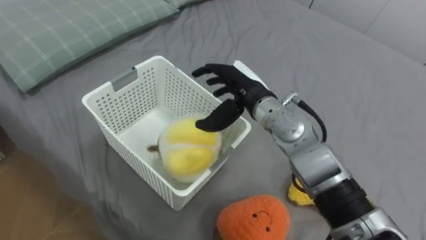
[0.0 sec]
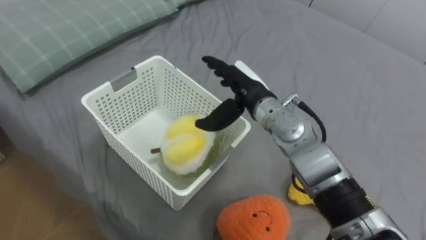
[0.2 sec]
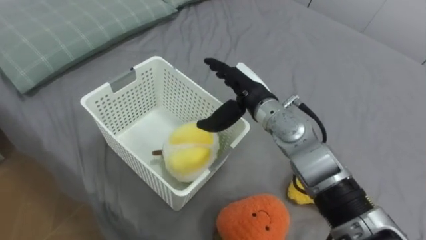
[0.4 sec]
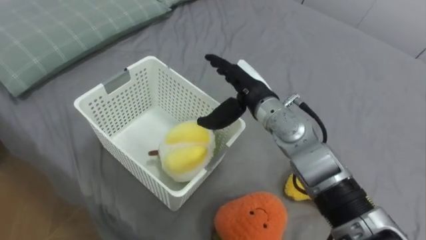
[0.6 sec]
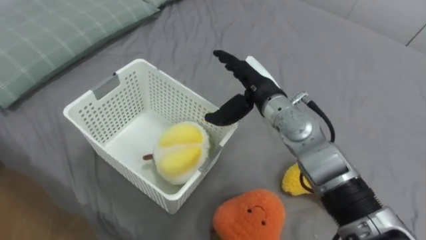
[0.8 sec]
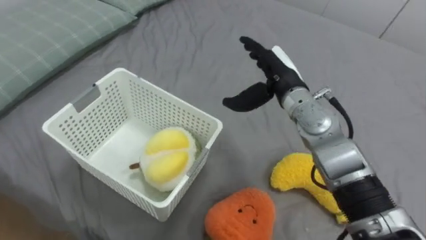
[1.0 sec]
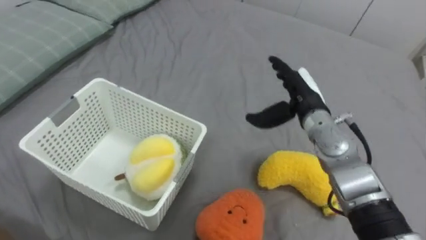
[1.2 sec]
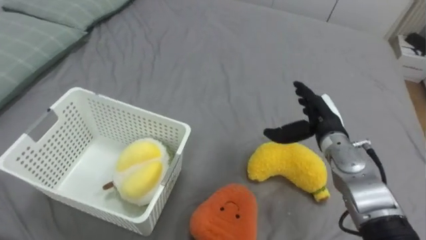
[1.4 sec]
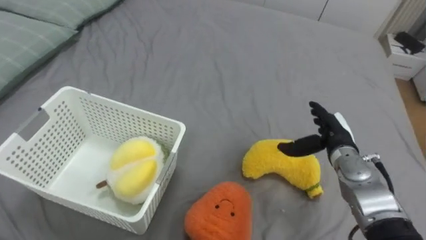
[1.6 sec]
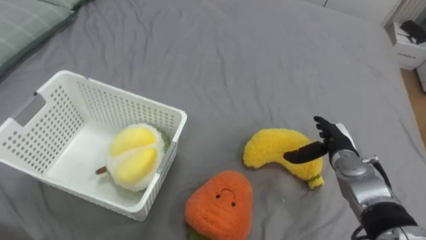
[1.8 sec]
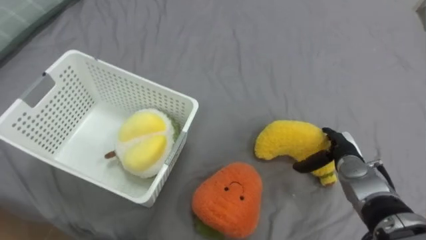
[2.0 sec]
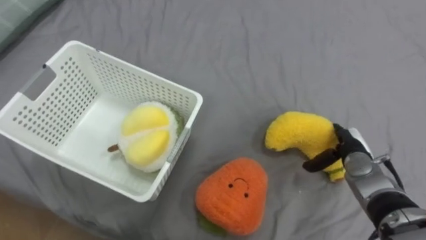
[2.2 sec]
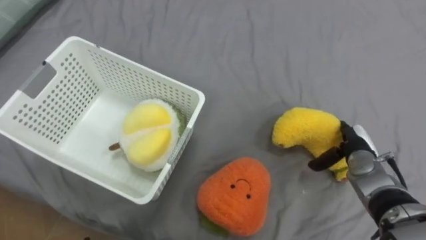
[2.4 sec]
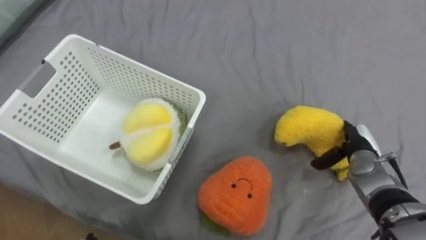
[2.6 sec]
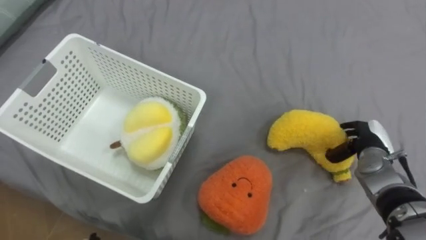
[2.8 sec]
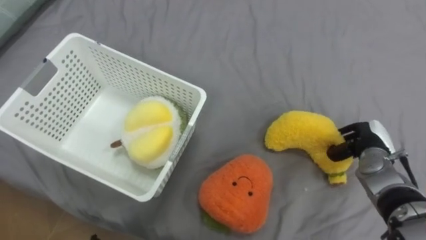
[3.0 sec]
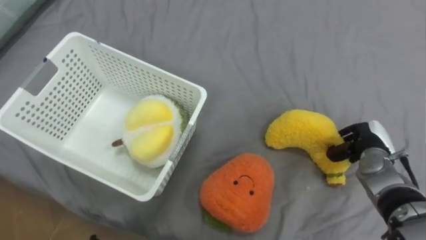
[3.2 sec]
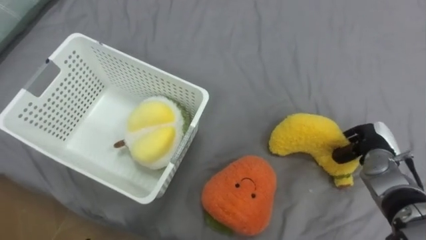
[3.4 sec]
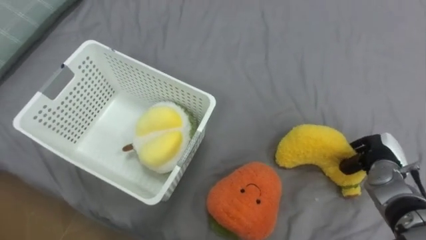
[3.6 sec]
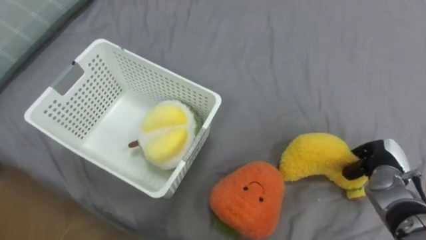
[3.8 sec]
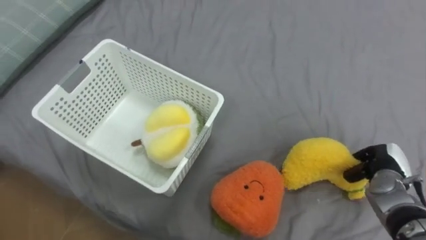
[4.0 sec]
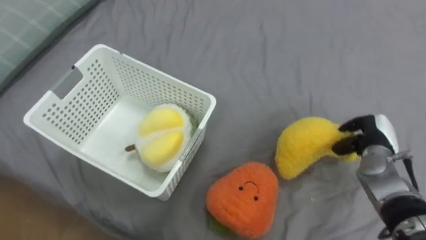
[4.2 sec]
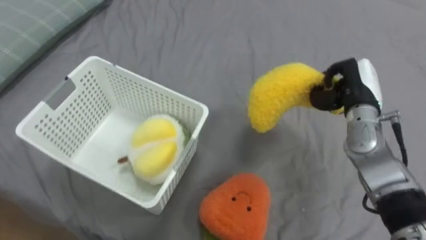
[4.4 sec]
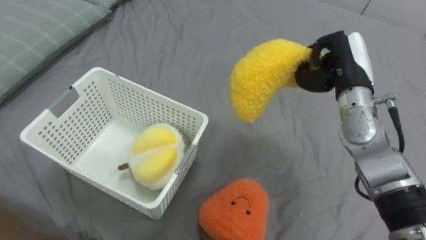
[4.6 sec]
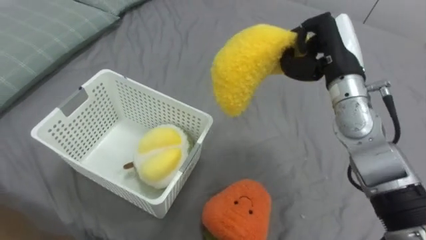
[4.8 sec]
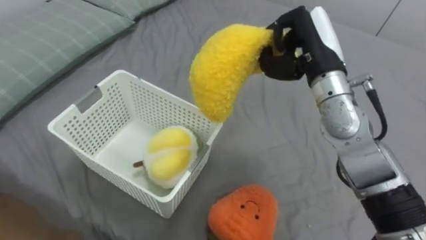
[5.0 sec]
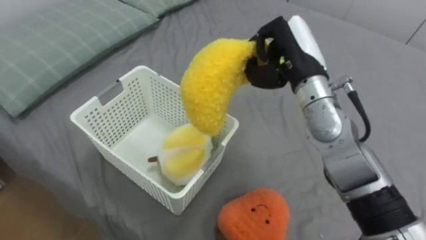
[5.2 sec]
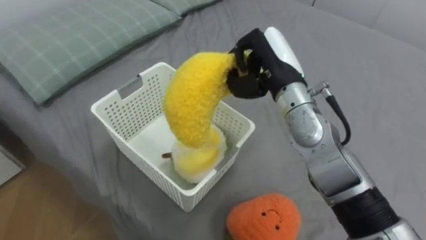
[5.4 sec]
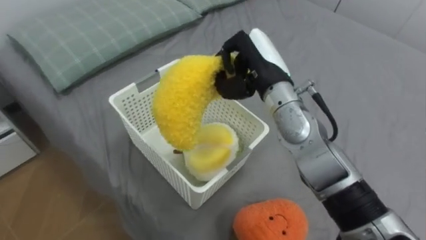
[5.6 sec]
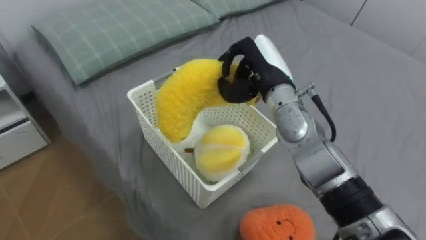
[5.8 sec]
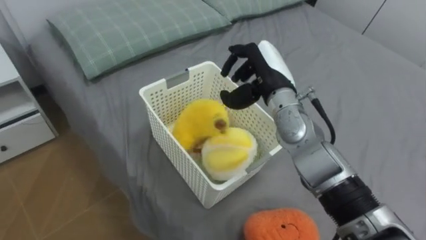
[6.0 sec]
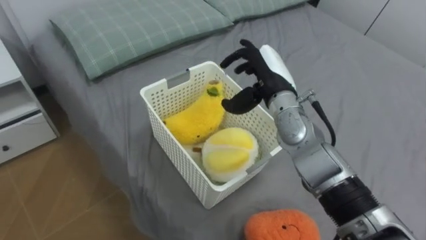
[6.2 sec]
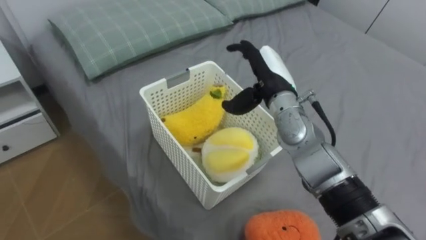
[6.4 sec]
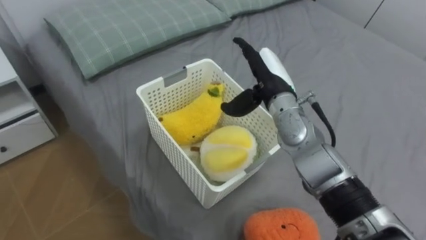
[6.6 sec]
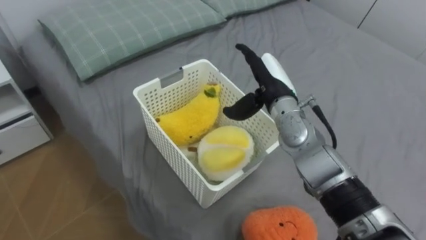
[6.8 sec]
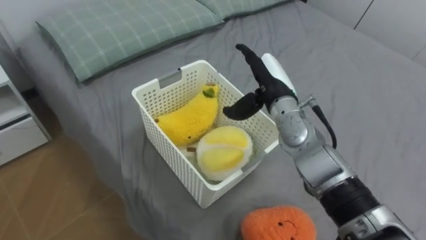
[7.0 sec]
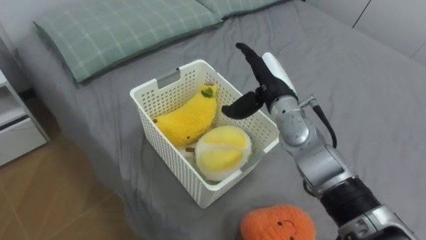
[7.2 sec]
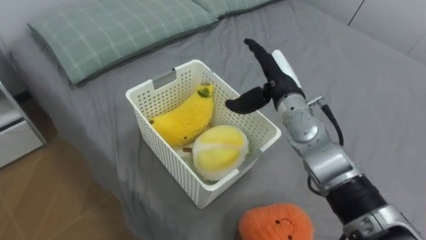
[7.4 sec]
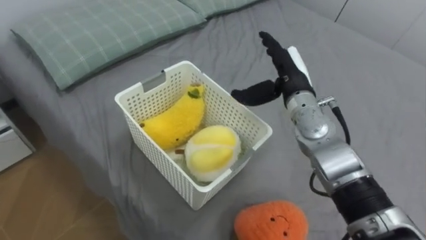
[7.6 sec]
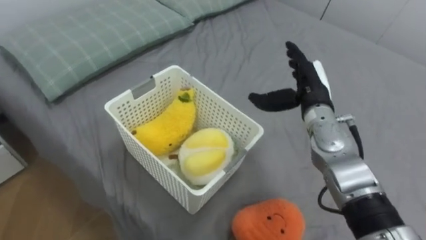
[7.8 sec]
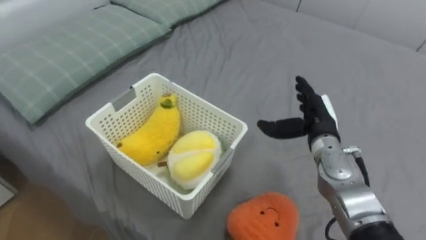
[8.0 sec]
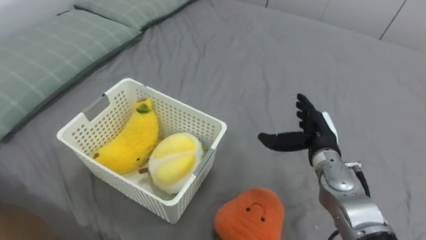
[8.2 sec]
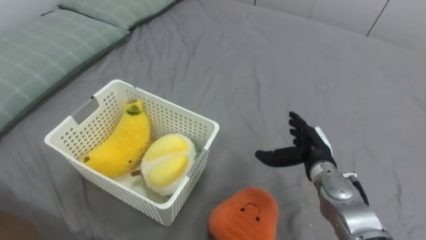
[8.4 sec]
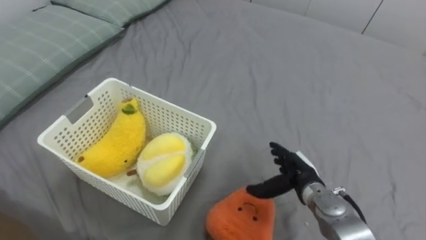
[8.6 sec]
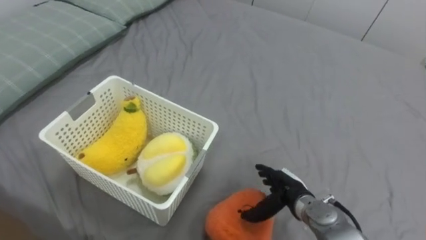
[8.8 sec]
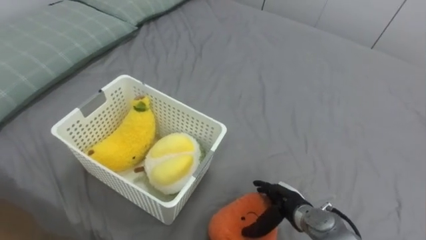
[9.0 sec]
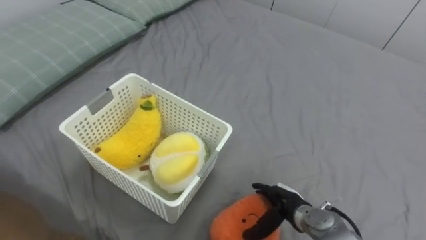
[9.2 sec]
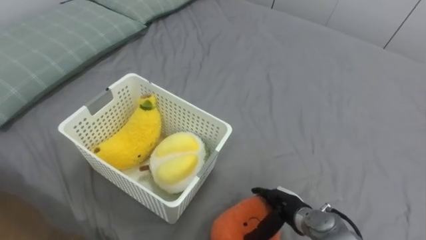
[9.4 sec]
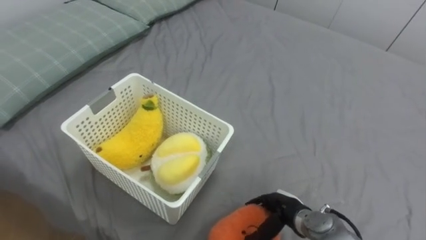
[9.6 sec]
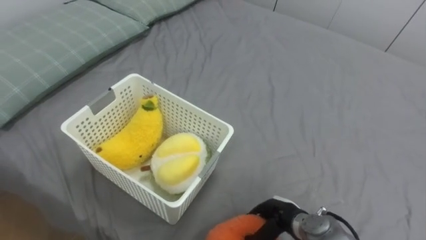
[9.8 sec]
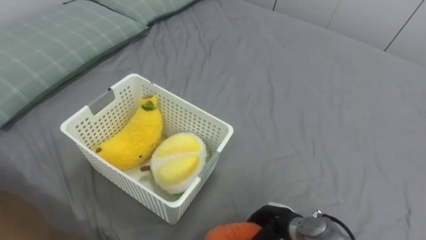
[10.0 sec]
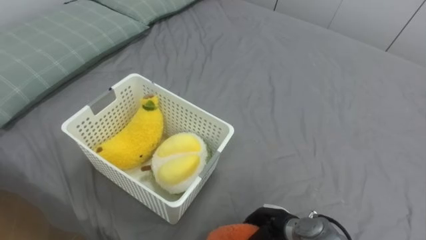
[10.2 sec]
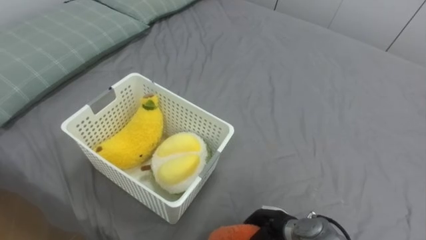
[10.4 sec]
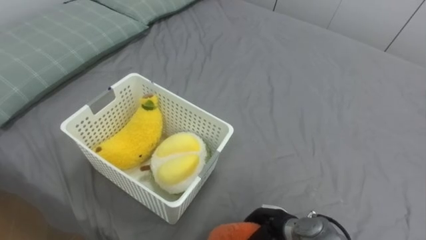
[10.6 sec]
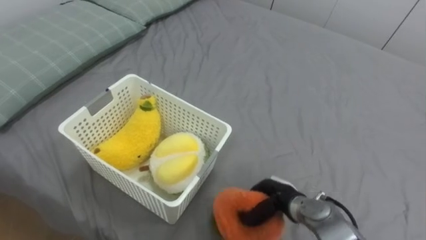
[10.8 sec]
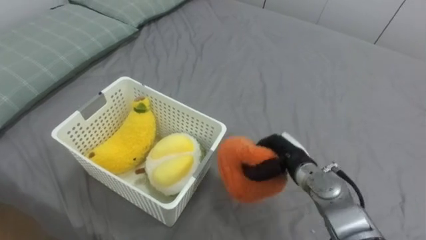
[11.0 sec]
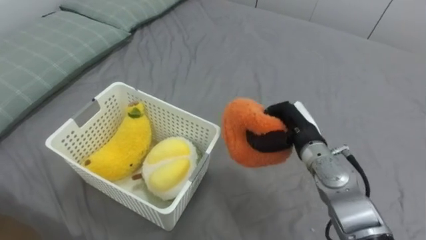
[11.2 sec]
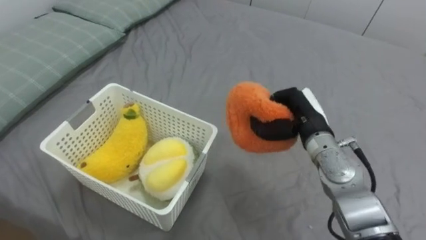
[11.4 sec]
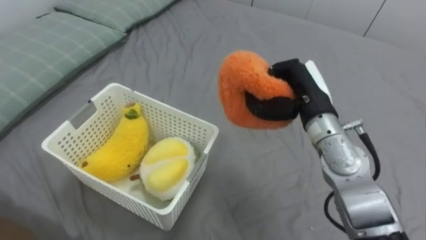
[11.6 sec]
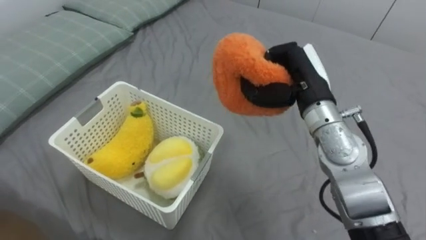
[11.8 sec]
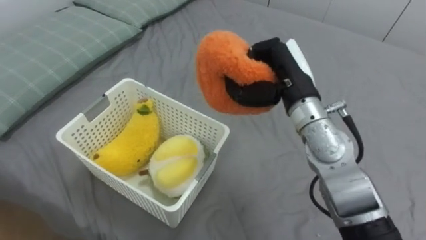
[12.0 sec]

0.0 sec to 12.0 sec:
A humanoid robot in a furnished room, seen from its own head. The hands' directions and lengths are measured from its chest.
Task of the whole recording: Put the toys on the bed into the basket on the left.
0.0 sec to 1.6 sec: The right hand goes some 20 cm to the right and downward.
1.6 sec to 3.0 sec: The right hand moves to the right, some 10 cm, and closes up.
3.0 sec to 4.4 sec: The right hand travels upward and to the left by about 10 cm.
4.4 sec to 6.0 sec: The right hand is displaced to the left by about 20 cm, and opens its fingers.
6.0 sec to 7.6 sec: The right hand opens.
7.6 sec to 9.0 sec: The right hand heads downward and backward, covering approximately 25 cm.
9.0 sec to 10.4 sec: The right hand moves roughly 5 cm, and closes up.
10.4 sec to 12.0 sec: The right hand goes some 35 cm upward and forward.

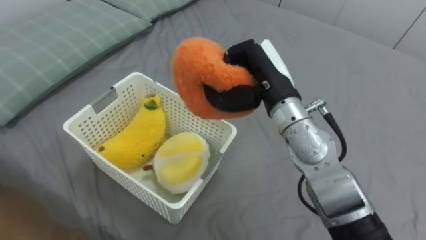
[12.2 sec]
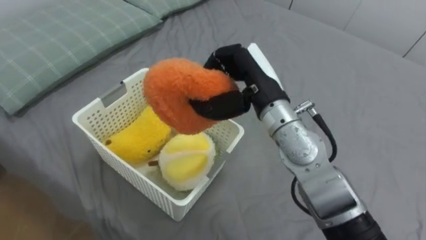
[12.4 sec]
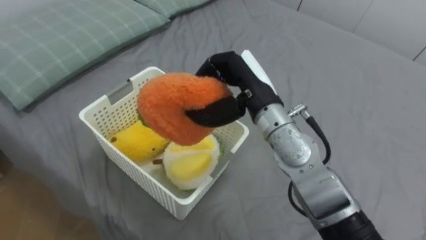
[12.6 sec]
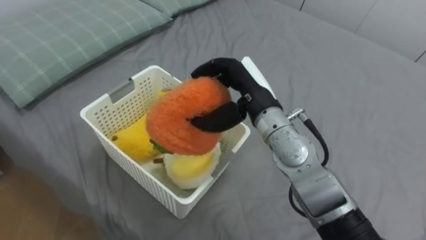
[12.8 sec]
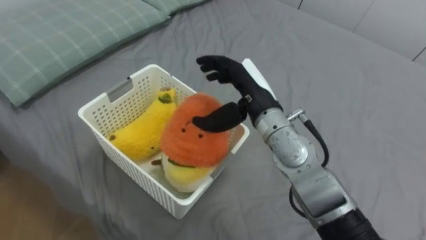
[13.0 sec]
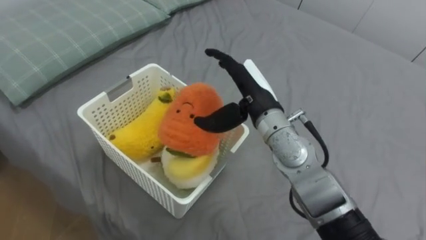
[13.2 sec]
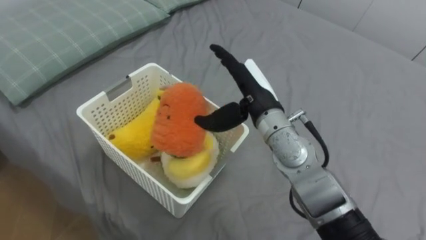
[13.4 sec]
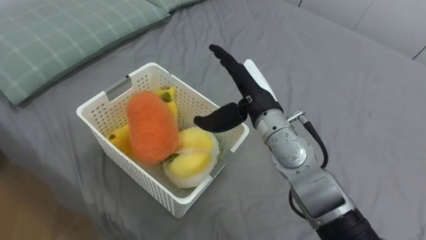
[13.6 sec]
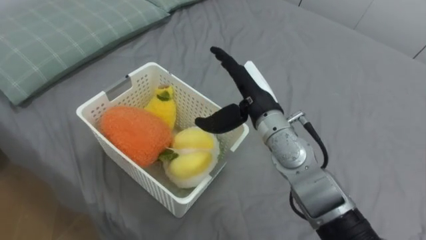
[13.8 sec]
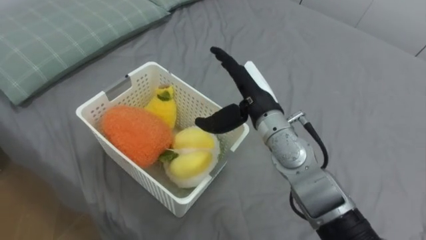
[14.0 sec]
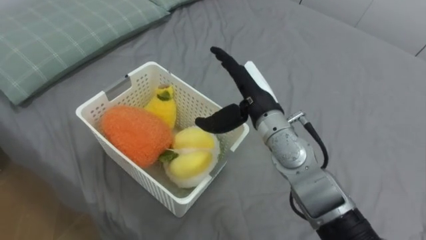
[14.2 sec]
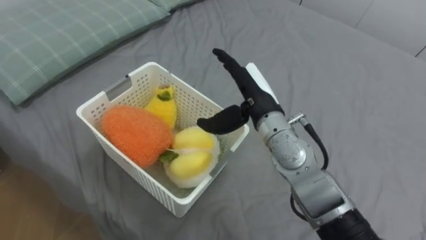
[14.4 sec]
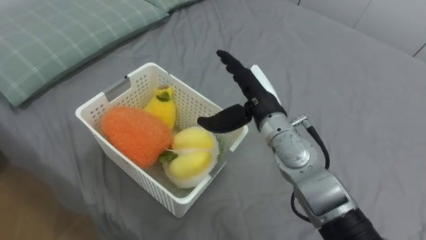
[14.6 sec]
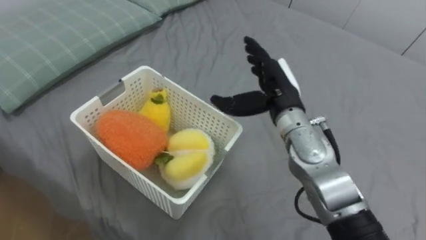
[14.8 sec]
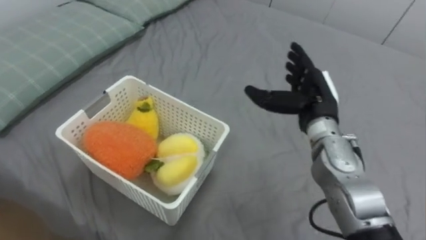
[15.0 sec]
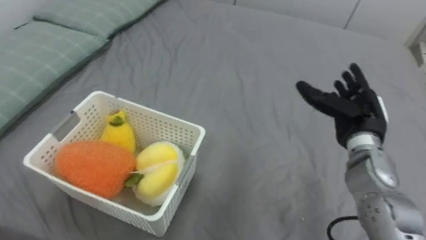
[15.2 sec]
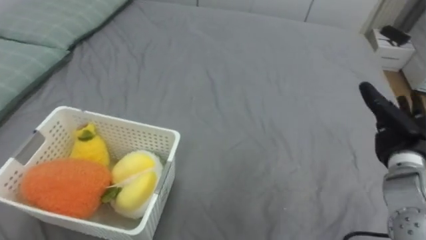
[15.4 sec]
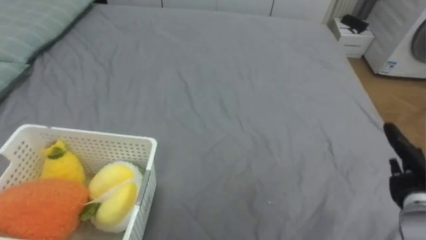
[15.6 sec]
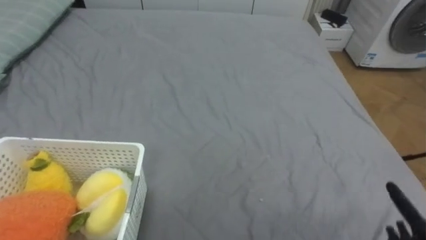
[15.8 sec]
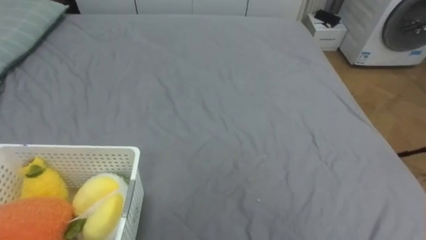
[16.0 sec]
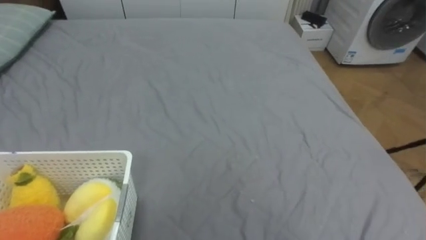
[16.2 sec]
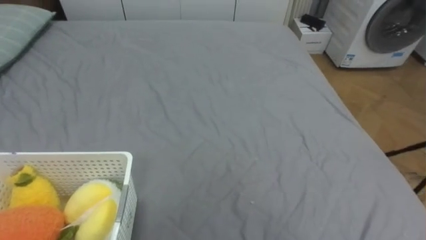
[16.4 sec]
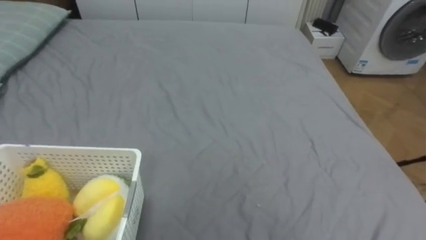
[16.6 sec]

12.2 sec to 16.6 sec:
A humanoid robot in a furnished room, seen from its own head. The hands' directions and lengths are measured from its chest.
Task of the whole recording: Put the toys on the bed into the basket on the left.
12.2 sec to 13.6 sec: The right hand opens.
13.6 sec to 15.2 sec: The right hand heads to the right, covering approximately 20 cm.
